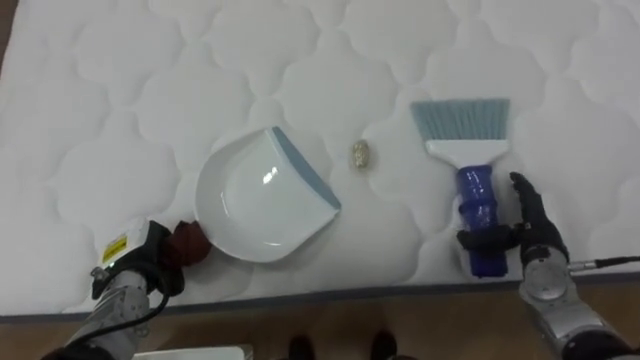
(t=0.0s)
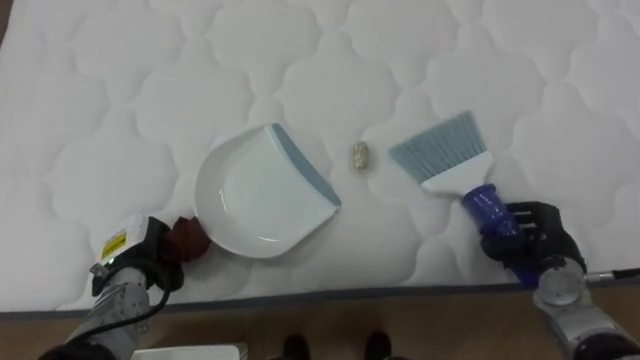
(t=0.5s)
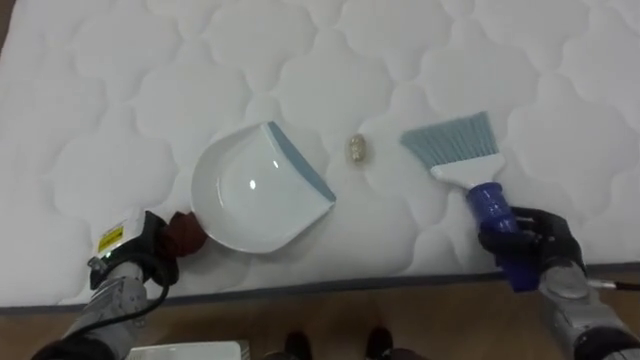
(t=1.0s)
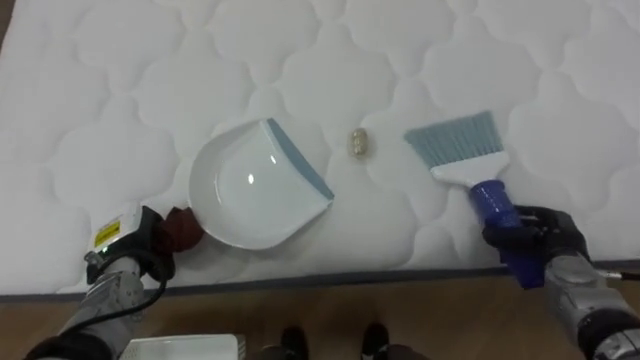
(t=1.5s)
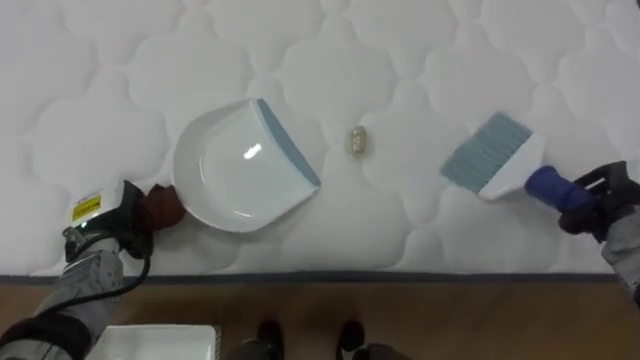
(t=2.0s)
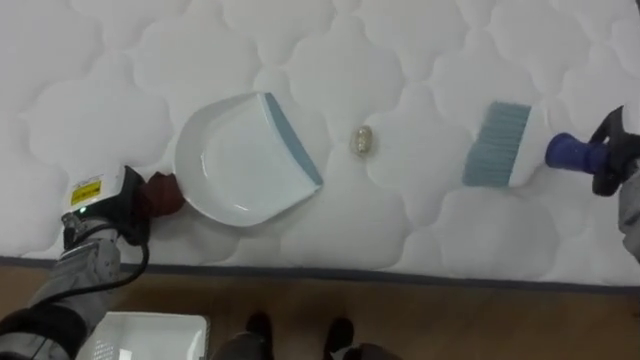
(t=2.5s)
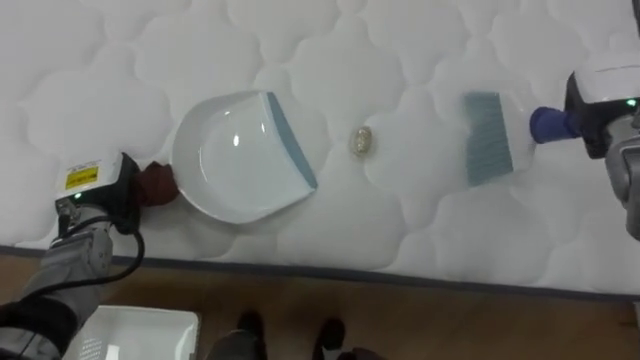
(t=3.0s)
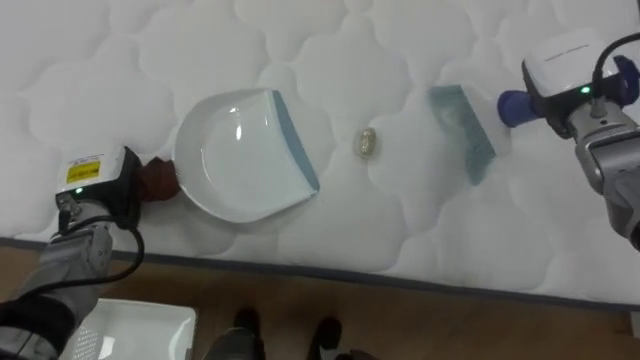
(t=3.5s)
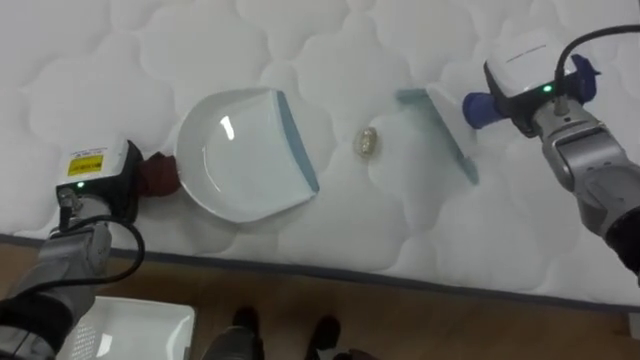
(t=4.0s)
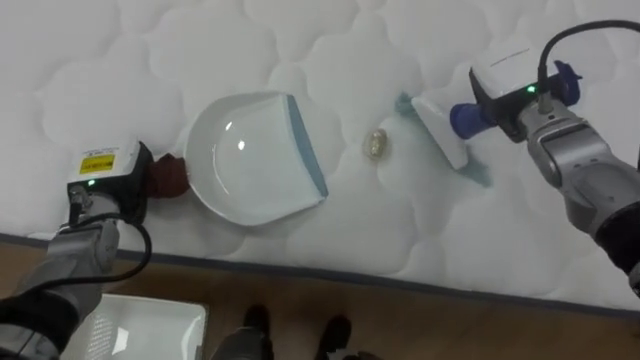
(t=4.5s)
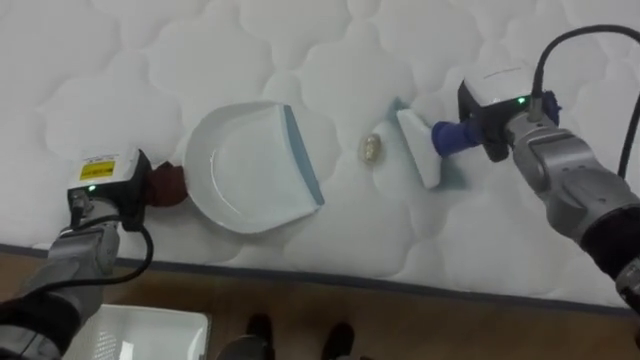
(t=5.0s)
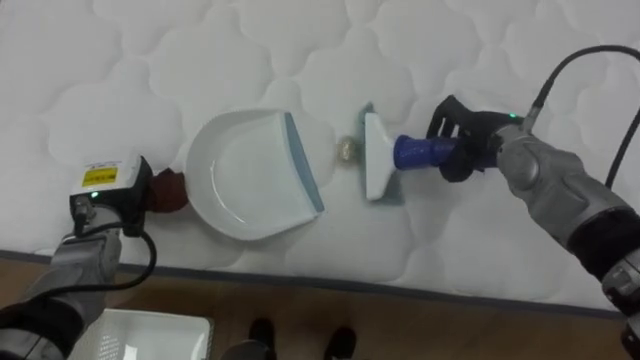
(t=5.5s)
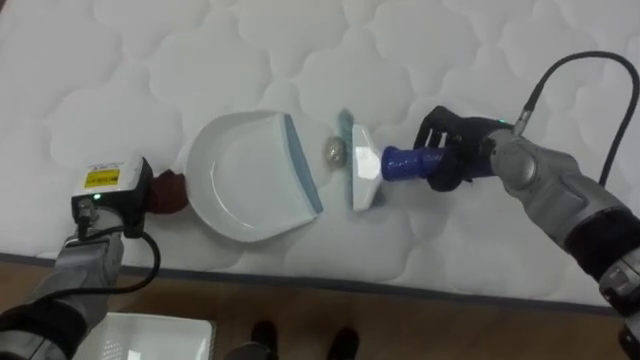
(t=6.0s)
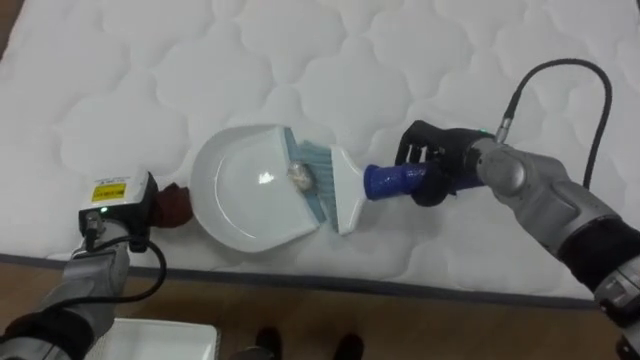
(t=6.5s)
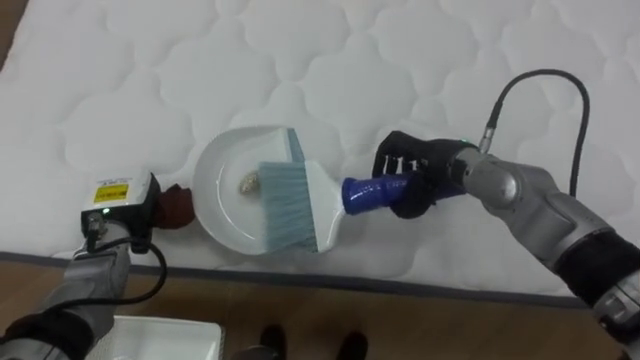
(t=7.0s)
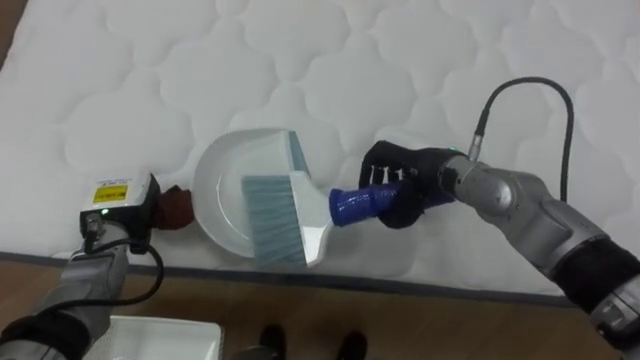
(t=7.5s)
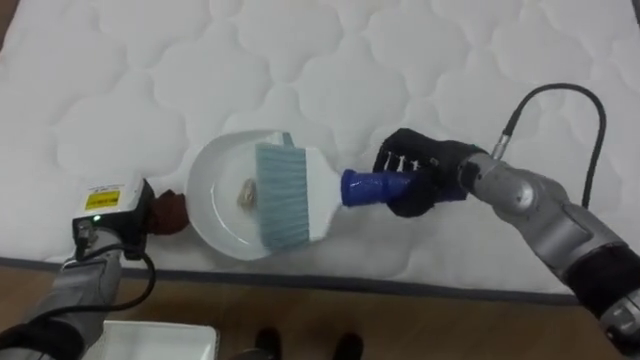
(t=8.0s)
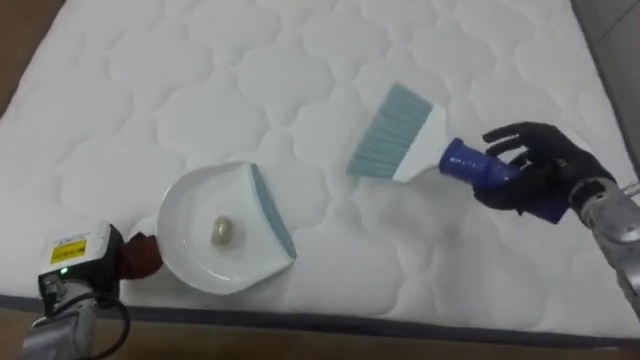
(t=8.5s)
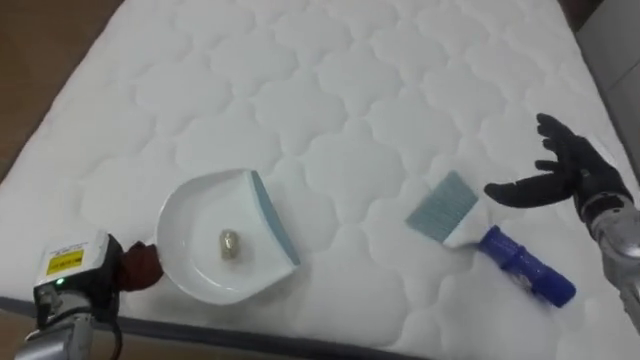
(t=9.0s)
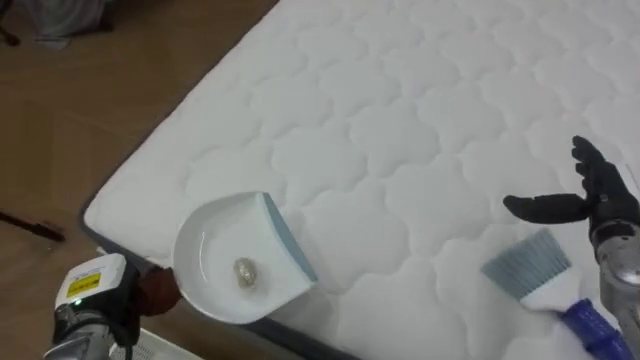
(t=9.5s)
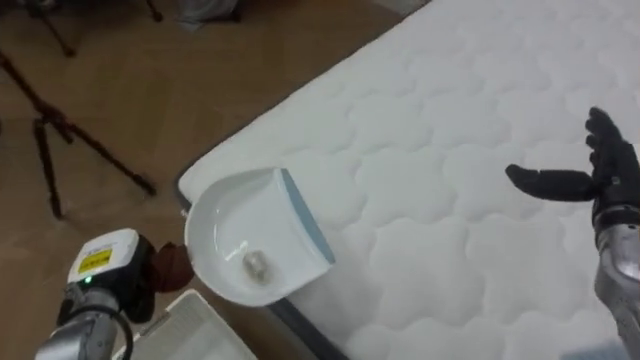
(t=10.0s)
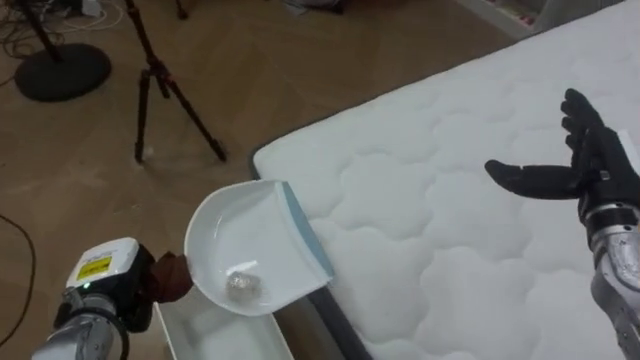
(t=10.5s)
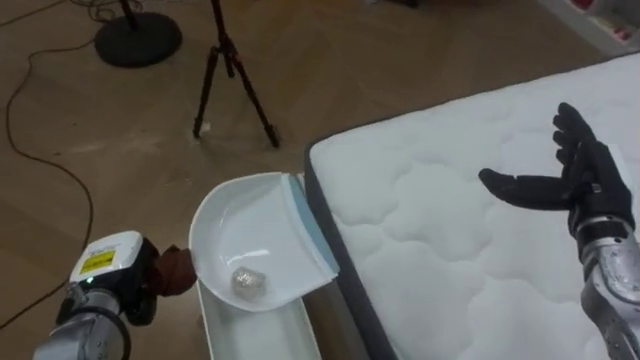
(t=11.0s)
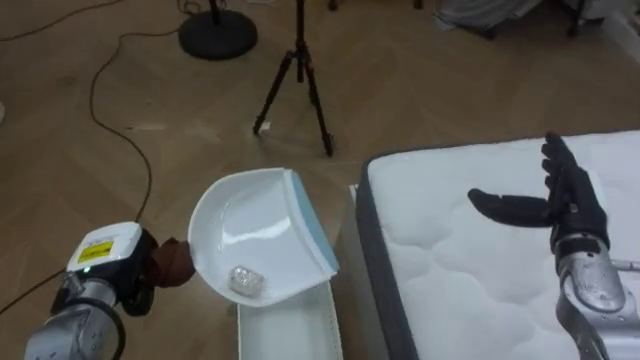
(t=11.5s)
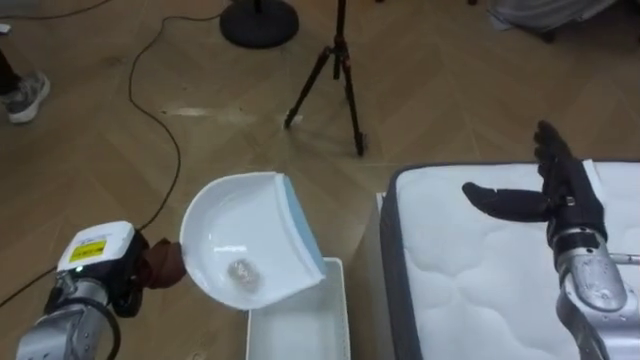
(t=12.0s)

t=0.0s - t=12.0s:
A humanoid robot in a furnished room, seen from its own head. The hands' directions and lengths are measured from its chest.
Task of the whole recording: Pick up the brush on your right and the dustpan on your left. Use the brush to sweep the crumpled paper on the bed into the dustpan, then turn left and empty it into the basket.
t=0.0s - t=2.0s: The right hand goes roughly 10 cm to the right and upward, and closes, while the left hand shifts approximately 5 cm upward.
t=2.0s - t=4.0s: The left hand moves upward, about 5 cm. The right hand goes about 20 cm to the left, upward and forward.
t=4.0s - t=6.0s: The right hand heads downward and to the left, covering about 10 cm.
t=6.0s - t=8.0s: The right hand moves some 5 cm.
t=8.0s - t=10.0s: The robot rotates roughly 45 degrees to its left. The left hand travels backward by approximately 10 cm; the right hand heads to the right, covering roughly 20 cm, and opens its fingers.
t=10.0s - t=12.0s: The robot's body swings some 45 degrees to its left. The right hand is displaced to the left by about 5 cm.

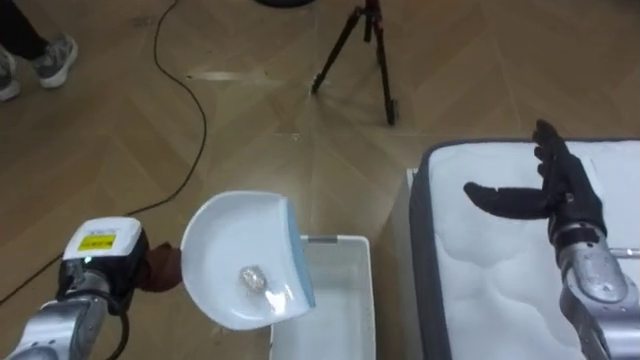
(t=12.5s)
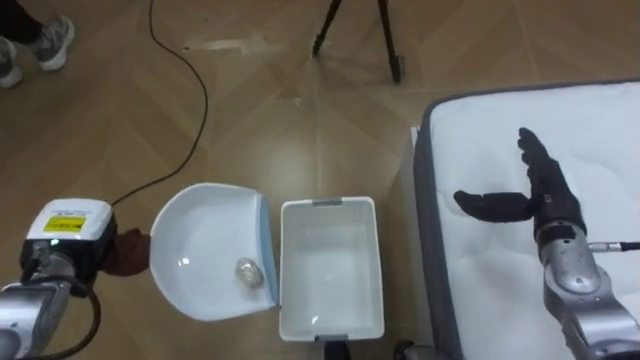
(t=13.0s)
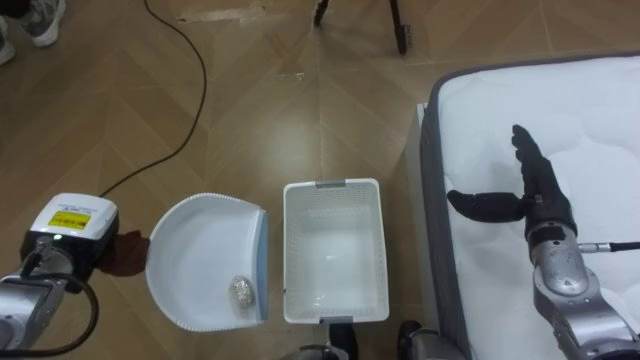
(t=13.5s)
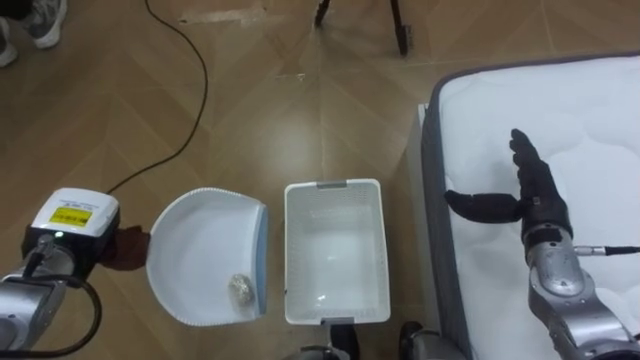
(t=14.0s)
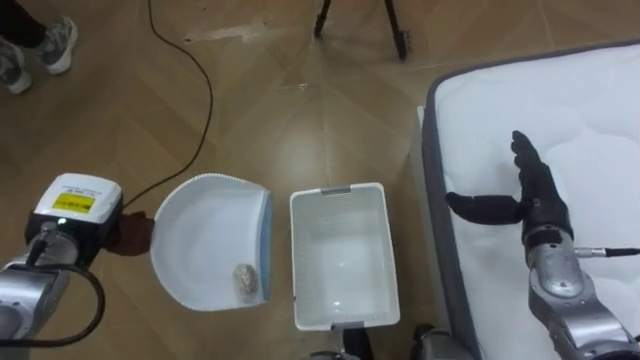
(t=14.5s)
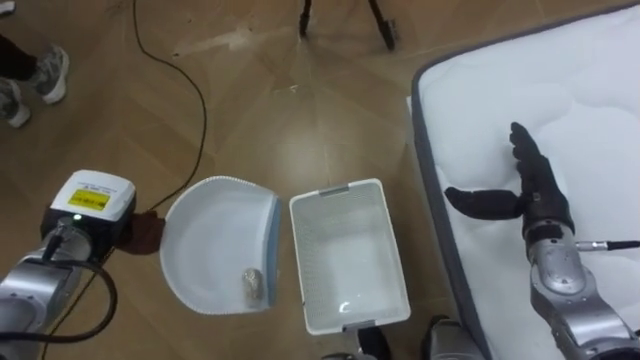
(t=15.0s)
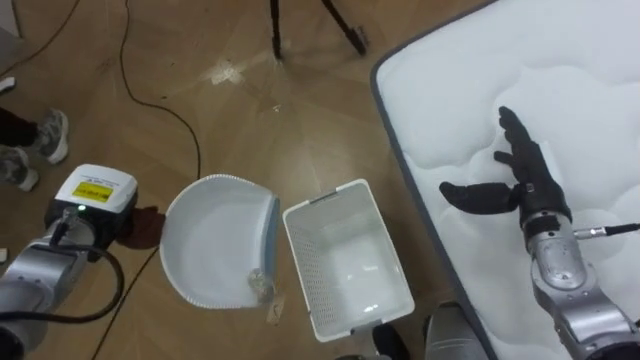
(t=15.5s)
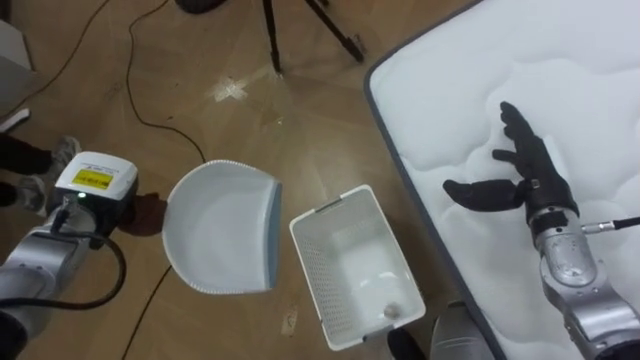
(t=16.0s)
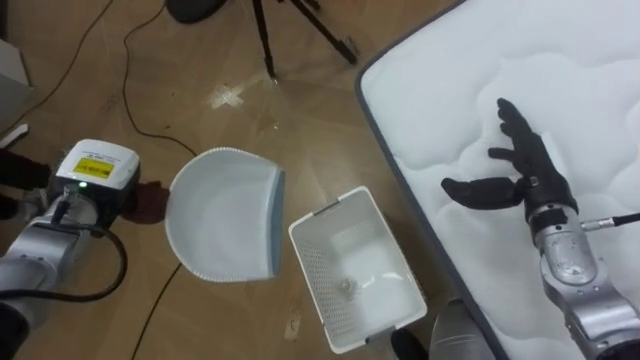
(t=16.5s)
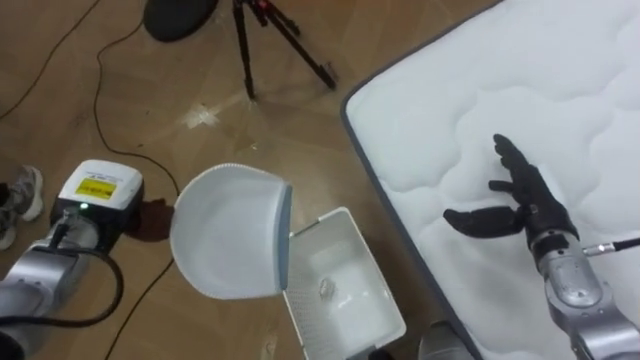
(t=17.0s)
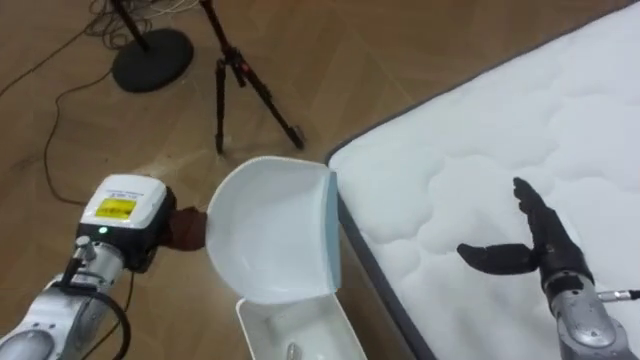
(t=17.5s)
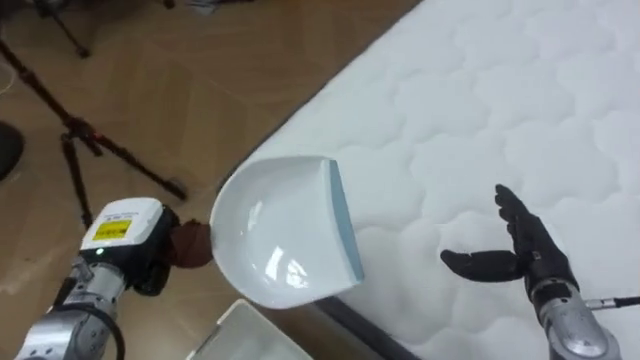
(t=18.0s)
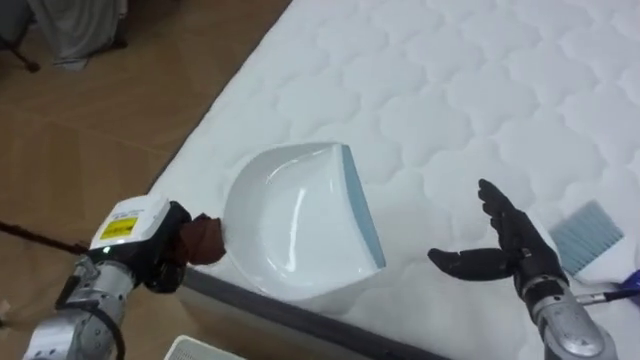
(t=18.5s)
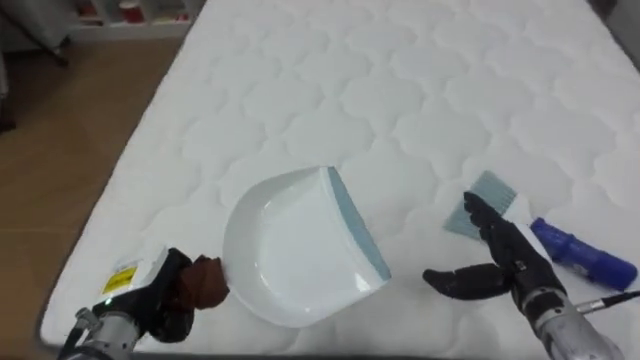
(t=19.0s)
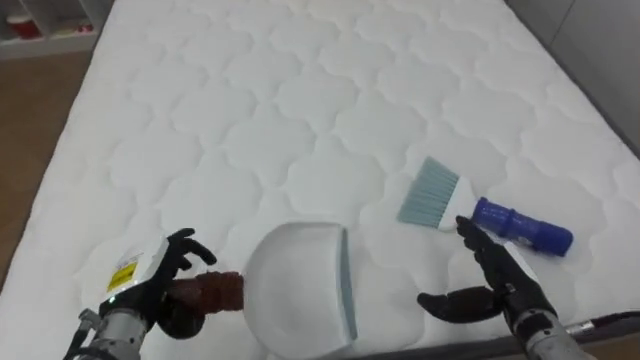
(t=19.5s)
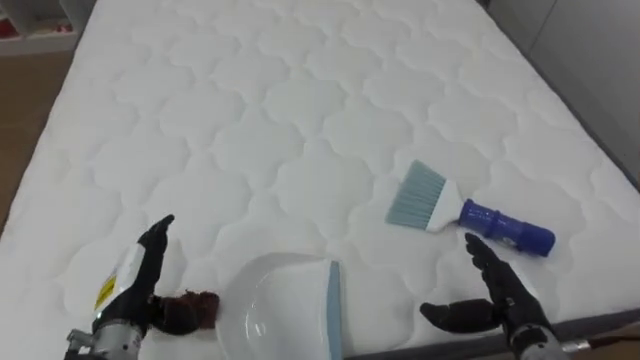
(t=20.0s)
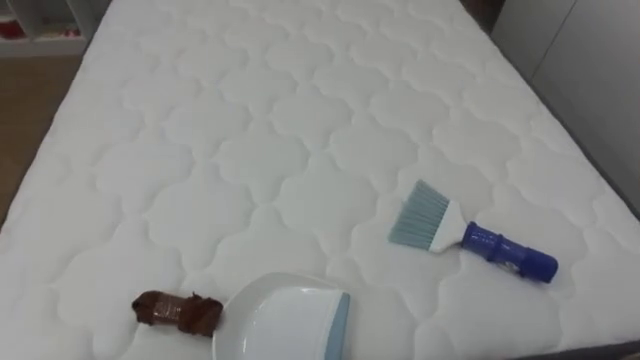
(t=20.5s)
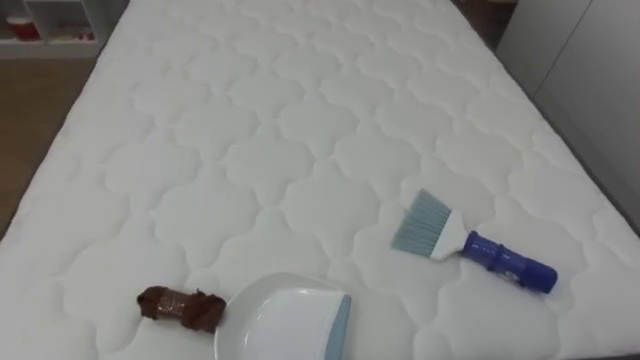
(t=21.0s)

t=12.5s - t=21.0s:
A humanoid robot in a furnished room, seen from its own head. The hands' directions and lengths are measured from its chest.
Task of the whole recording: Pick up the brush on your right and the dustpan on your left. Use the brush to sweep the crumpled paper on the bed into the dustpan, then turn left and empty it into the basket.
t=12.5s - t=14.5s: The left hand shifts by roughly 5 cm.
t=16.5s - t=19.0s: The robot rotates approximately 80 degrees to its right. The right hand moves backward and downward, some 10 cm. Meanwhile the left hand moves backward, downward and to the right, about 15 cm.
